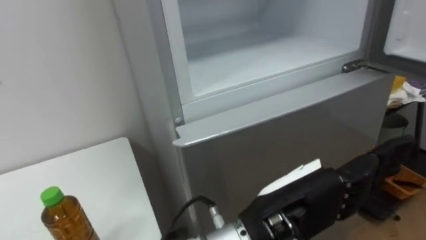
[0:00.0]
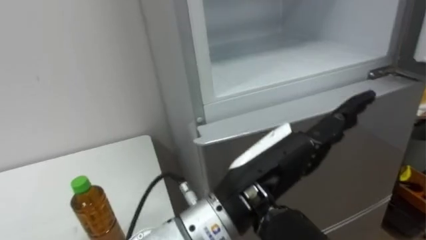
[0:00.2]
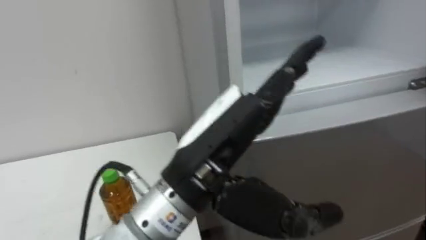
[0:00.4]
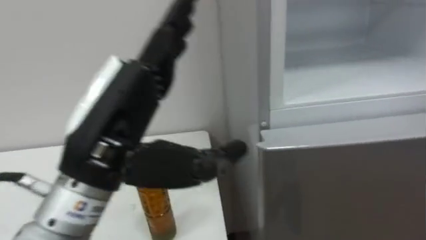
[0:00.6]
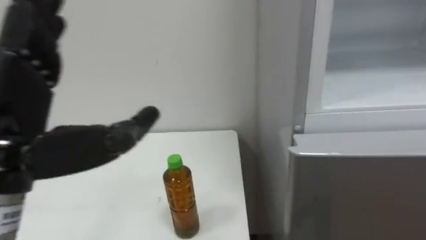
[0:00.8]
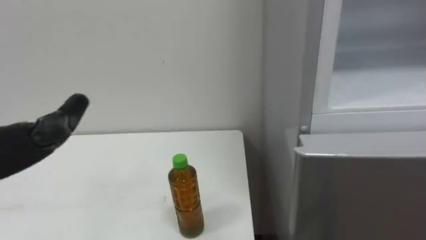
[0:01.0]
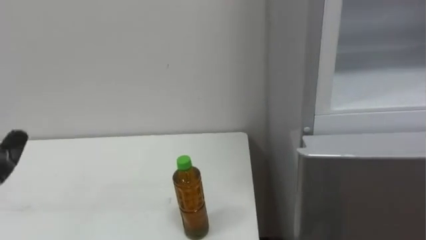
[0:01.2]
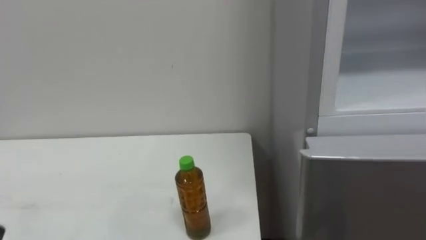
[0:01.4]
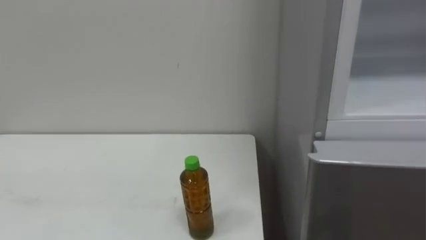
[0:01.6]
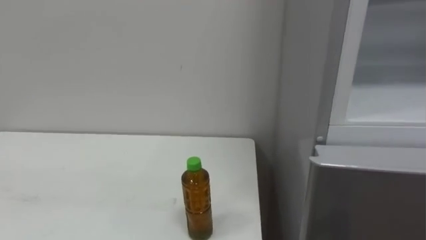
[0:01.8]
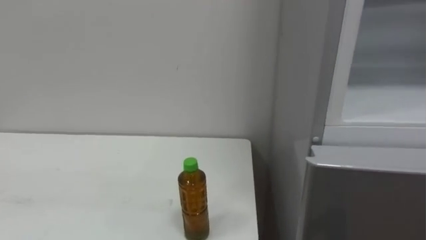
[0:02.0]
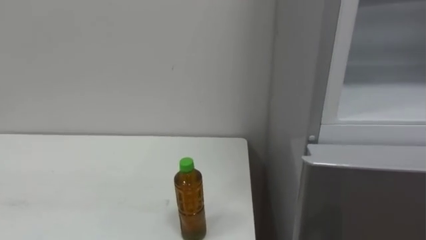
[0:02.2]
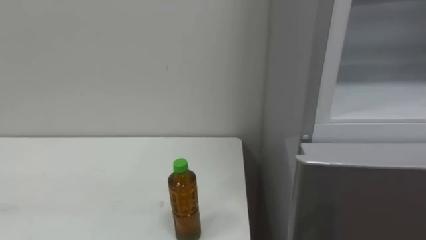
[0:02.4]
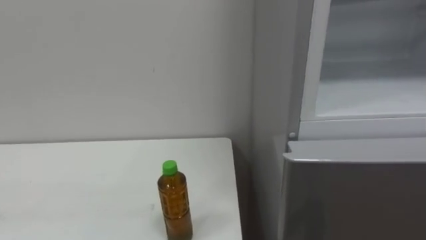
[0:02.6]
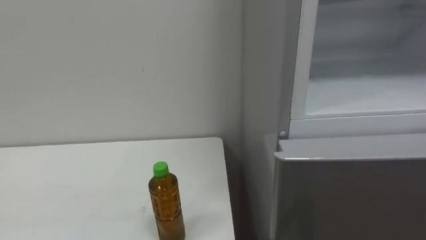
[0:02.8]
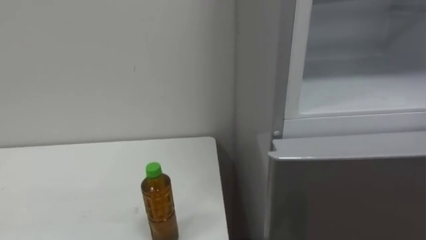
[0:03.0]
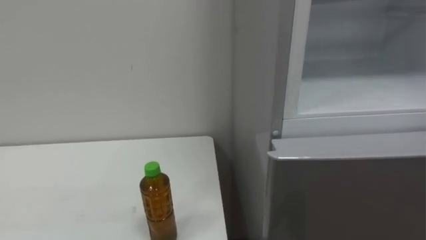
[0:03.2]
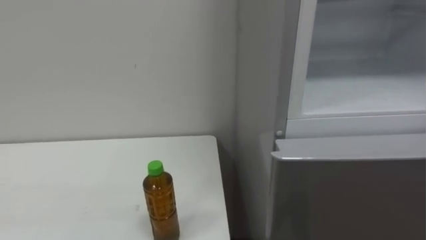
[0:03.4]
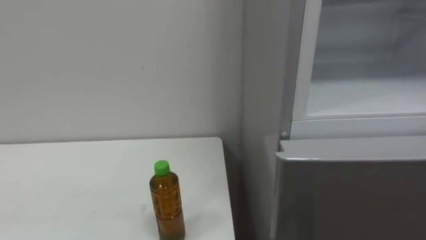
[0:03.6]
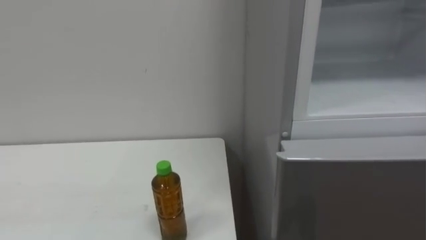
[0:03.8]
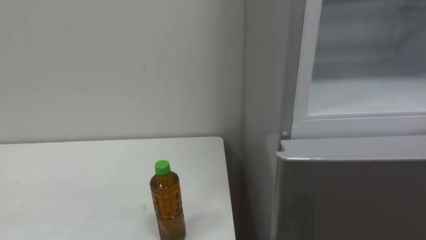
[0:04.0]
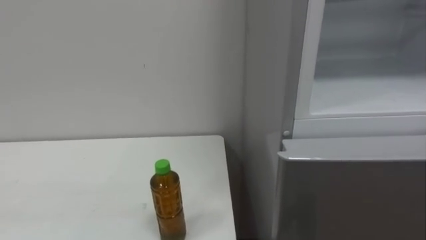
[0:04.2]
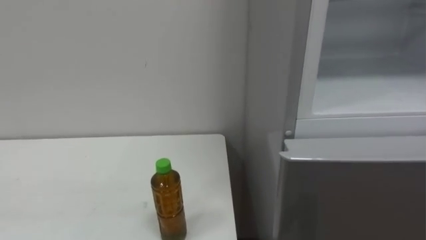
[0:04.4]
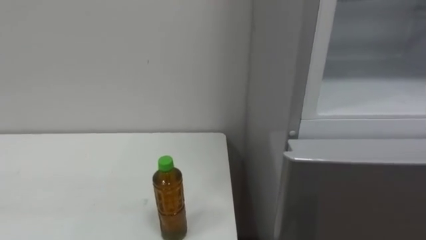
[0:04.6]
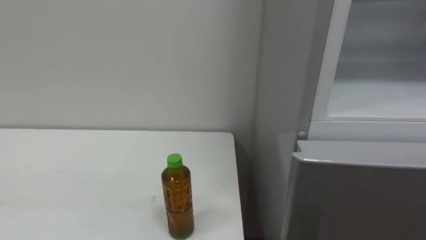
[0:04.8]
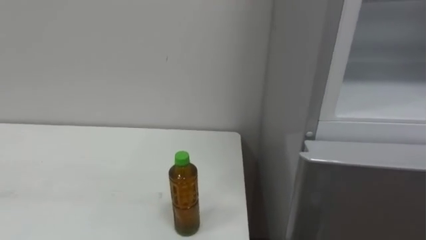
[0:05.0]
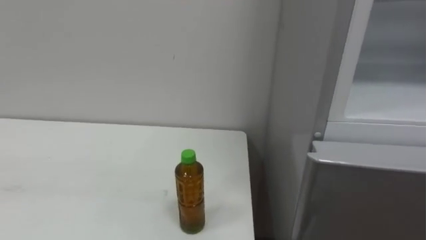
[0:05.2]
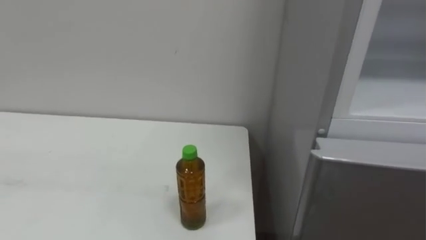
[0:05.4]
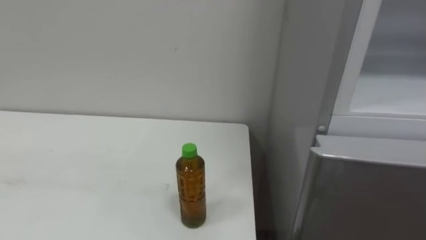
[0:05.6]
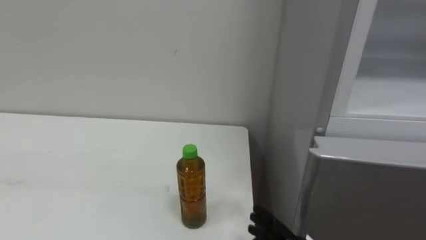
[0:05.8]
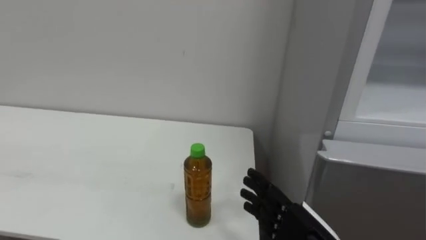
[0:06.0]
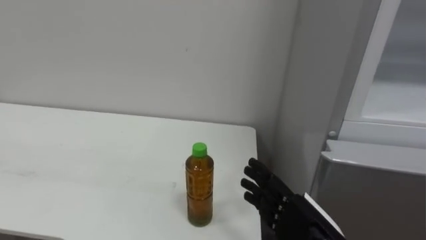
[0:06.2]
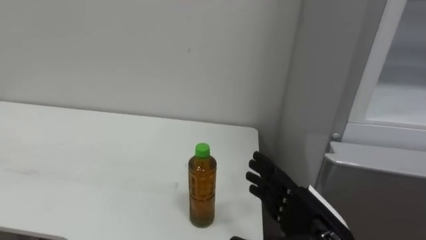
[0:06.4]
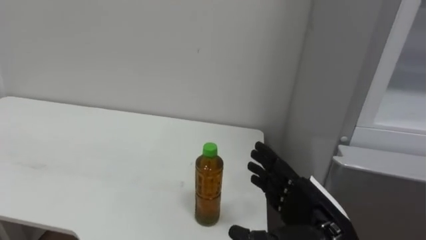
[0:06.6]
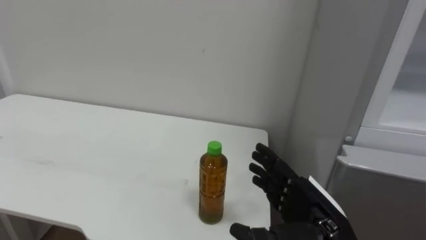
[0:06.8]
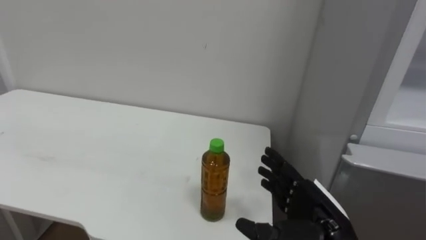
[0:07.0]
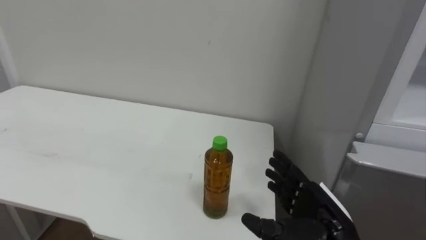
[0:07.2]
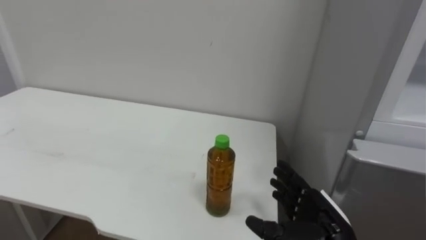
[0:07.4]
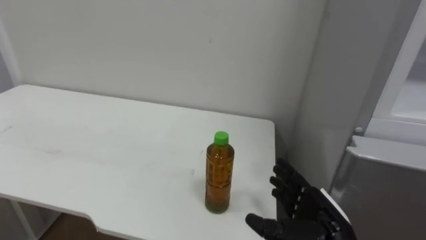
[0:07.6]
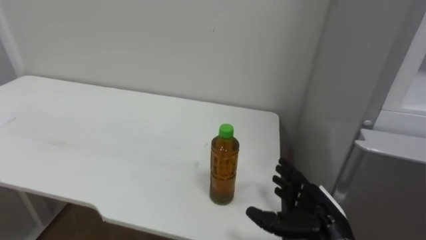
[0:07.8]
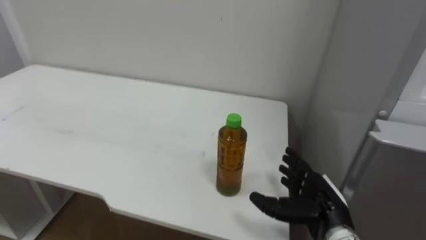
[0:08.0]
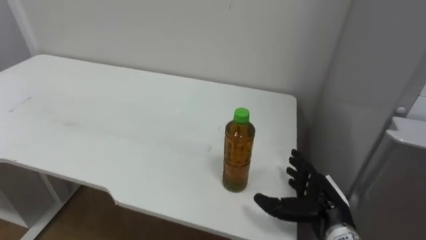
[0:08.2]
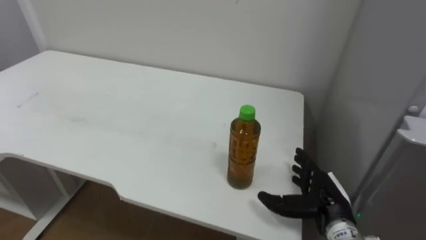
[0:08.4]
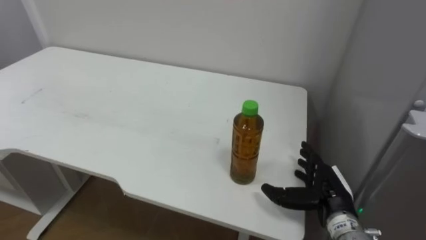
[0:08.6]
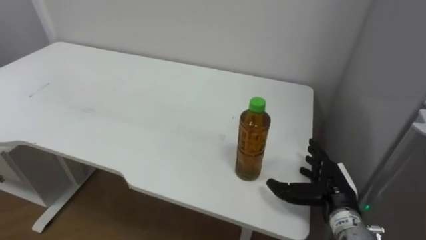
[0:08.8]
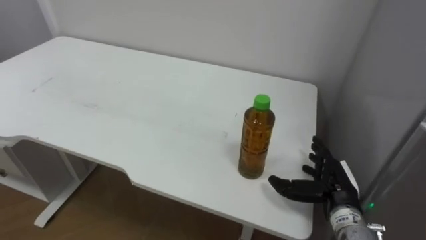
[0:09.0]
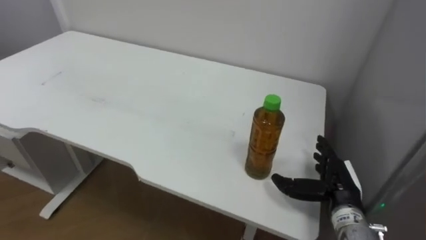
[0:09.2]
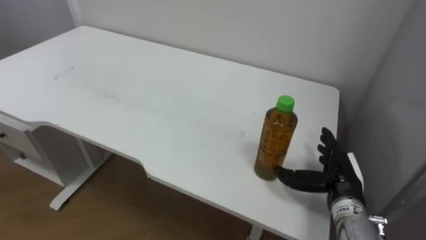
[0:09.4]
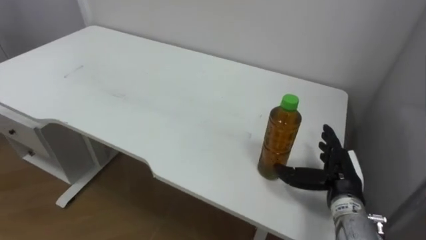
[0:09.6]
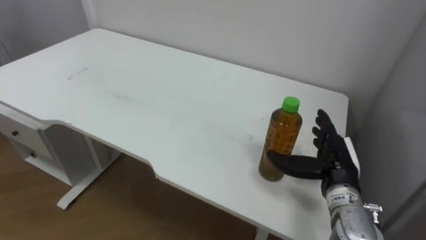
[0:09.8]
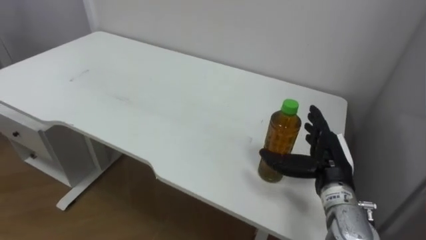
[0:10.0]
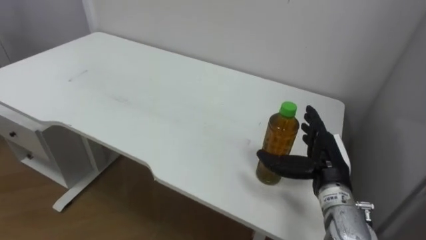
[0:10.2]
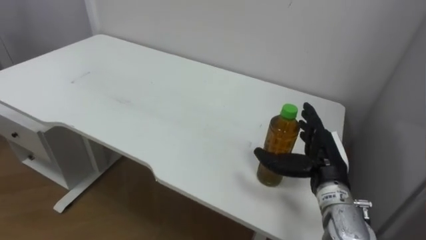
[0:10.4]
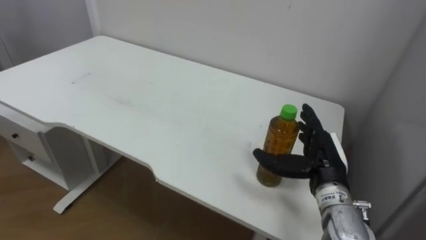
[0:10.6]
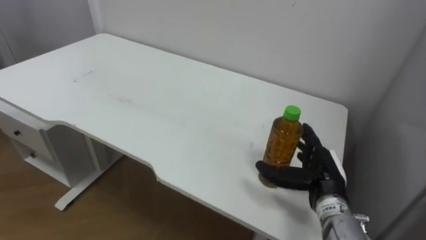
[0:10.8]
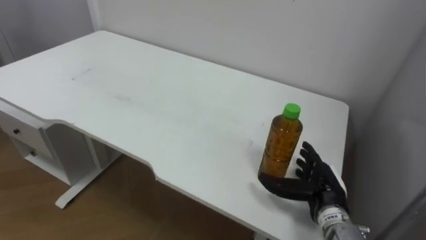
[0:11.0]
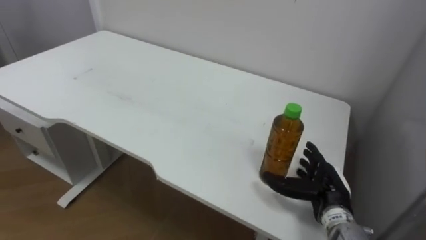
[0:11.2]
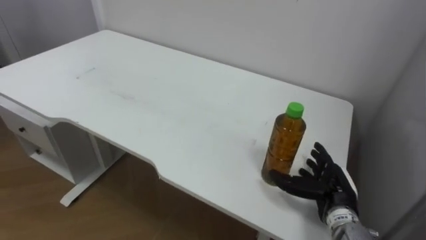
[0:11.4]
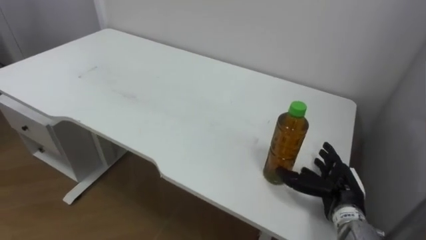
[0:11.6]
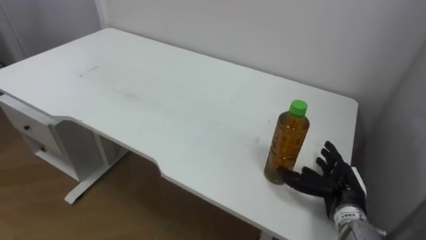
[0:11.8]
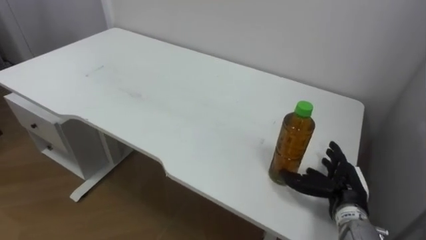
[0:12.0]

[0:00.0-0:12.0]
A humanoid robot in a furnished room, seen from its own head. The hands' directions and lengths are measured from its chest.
Task of the whole recording: Open the upper refrigerator door, put the drink from the table into the refrigerator, and then close the refrigerator door.
0:06.0 to 0:07.6: The right hand shifts some 5 cm forward.
0:07.6 to 0:09.0: The right hand moves forward, approximately 5 cm.
0:09.0 to 0:10.4: The right hand goes roughly 5 cm upward.
0:10.4 to 0:12.0: The right hand is displaced downward by approximately 10 cm.

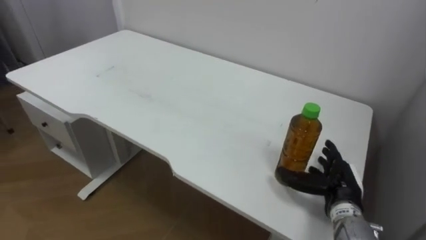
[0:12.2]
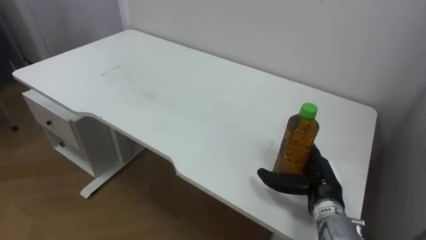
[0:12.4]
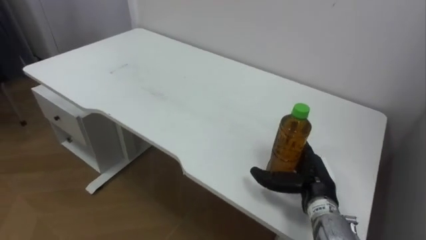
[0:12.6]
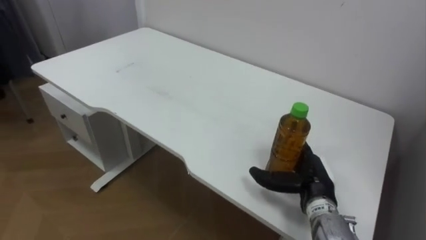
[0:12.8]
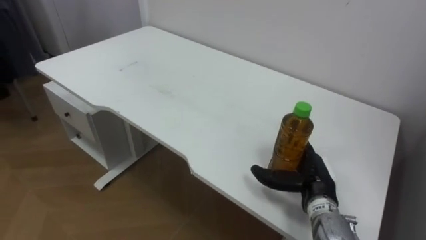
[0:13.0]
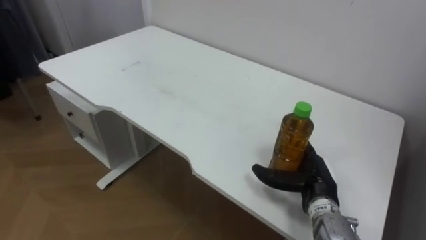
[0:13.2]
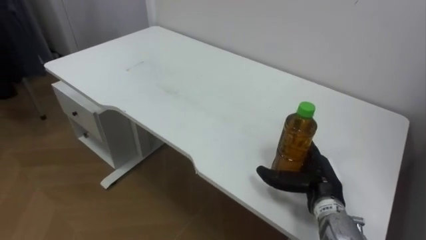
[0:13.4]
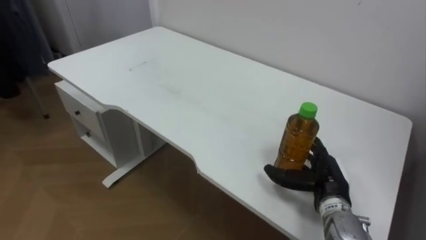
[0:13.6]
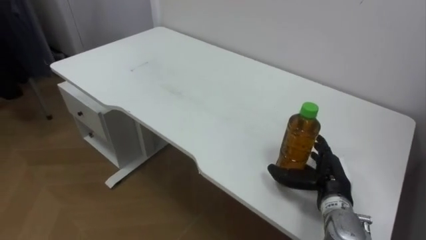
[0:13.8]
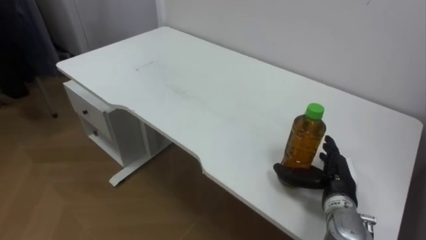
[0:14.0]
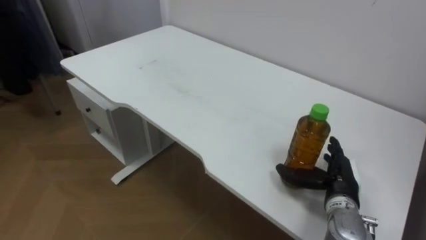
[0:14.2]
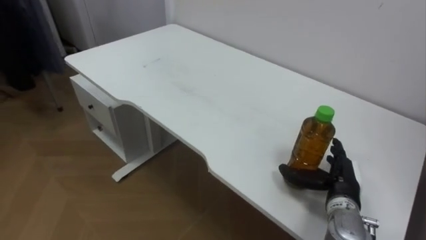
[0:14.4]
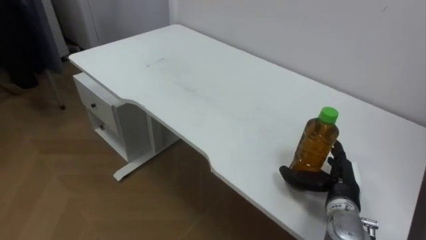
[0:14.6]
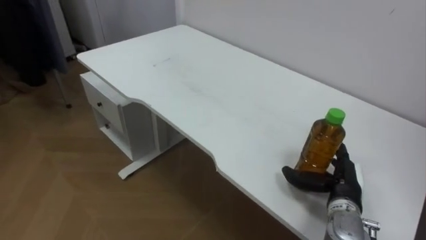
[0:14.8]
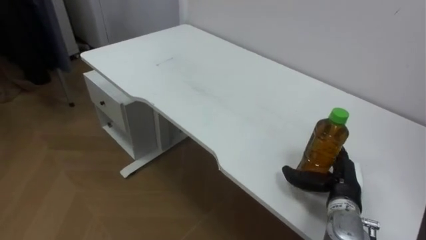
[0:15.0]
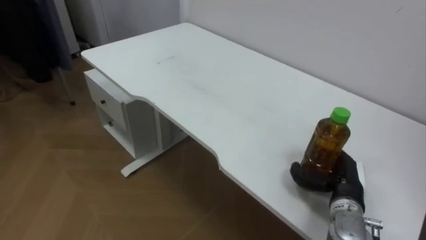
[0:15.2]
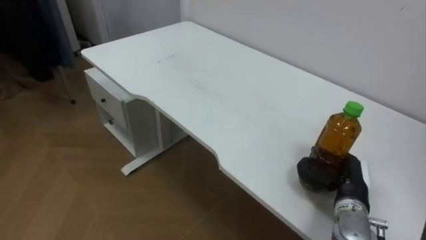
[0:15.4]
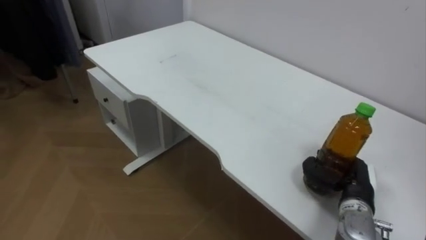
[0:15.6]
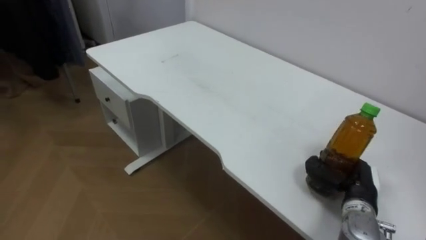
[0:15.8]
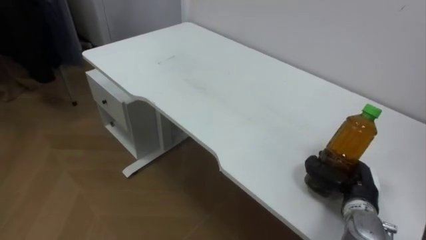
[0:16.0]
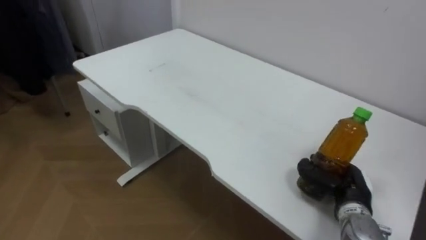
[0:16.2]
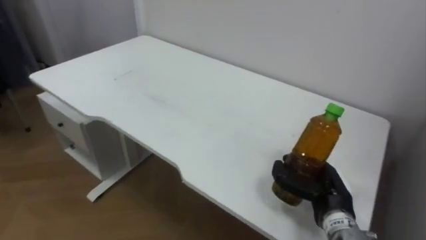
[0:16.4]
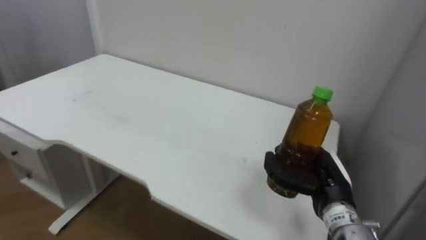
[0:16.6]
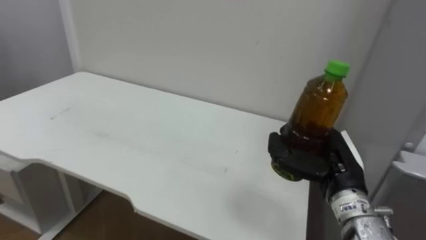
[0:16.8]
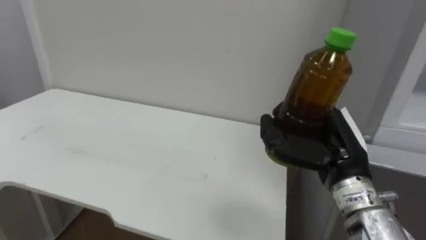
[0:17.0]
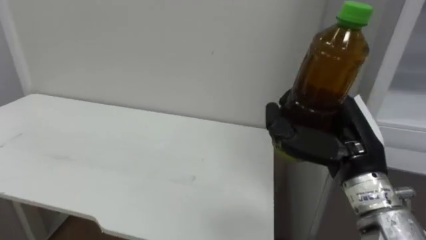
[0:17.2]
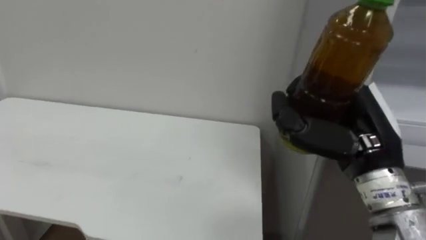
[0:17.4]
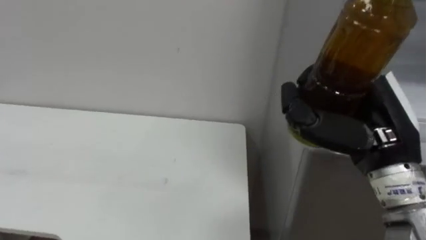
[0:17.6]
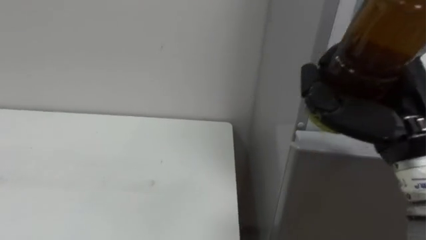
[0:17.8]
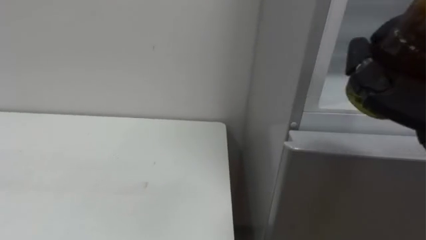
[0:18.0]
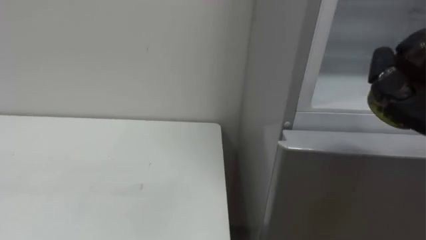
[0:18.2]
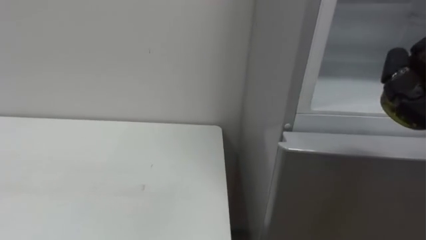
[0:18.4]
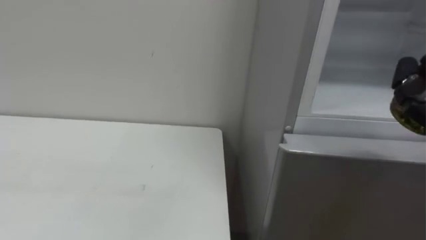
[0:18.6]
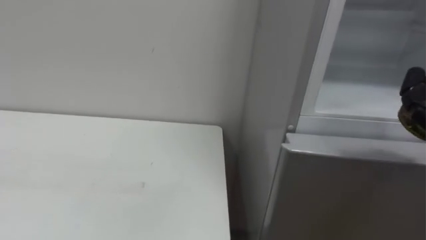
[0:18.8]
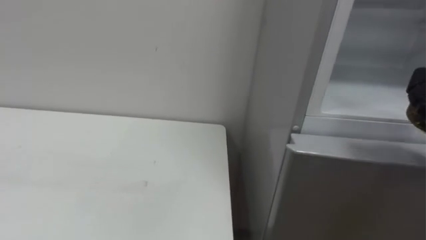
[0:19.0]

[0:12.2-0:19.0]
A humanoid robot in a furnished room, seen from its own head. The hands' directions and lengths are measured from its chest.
Task of the whole recording: Open the upper refrigerator door, put the drink from the table into the refrigerator, and then close the refrigerator door.
0:15.0 to 0:16.2: The right hand closes up.
0:16.2 to 0:17.6: The right hand goes roughly 25 cm upward and backward.
